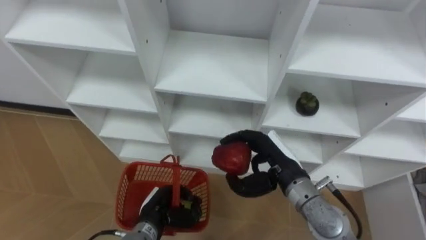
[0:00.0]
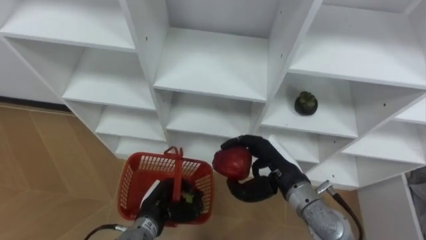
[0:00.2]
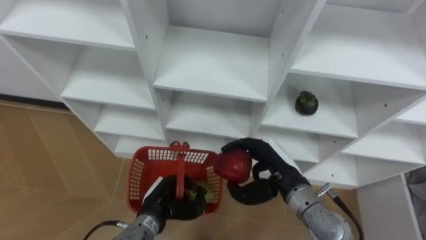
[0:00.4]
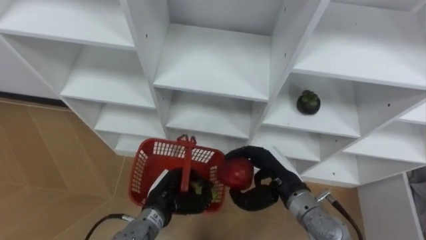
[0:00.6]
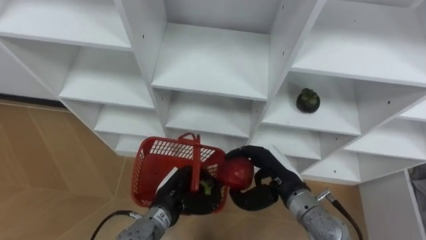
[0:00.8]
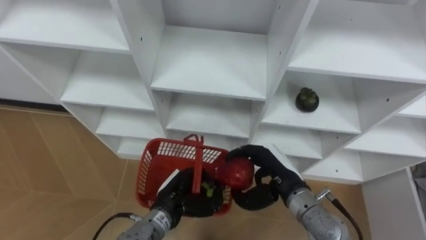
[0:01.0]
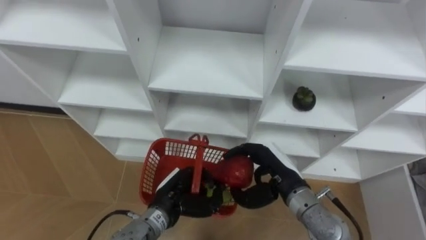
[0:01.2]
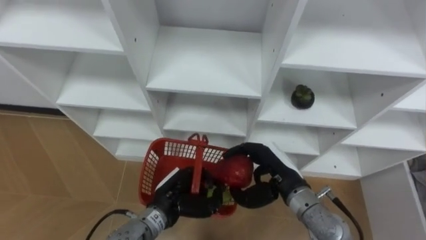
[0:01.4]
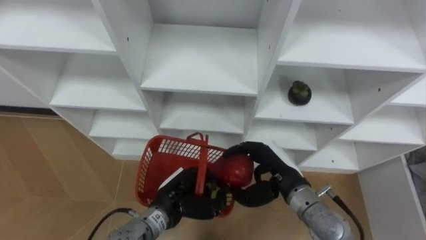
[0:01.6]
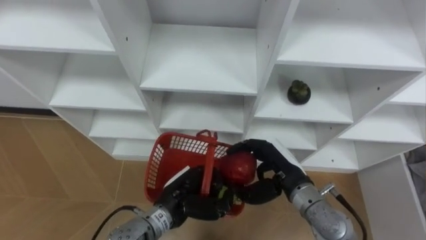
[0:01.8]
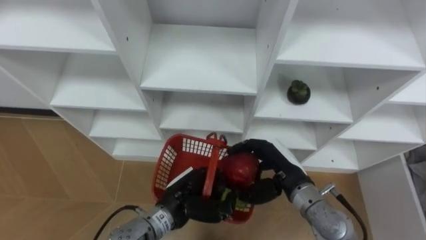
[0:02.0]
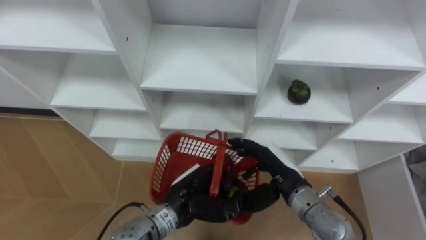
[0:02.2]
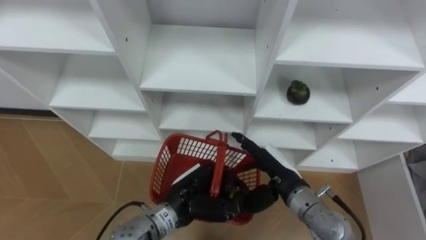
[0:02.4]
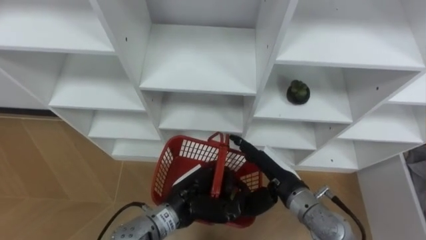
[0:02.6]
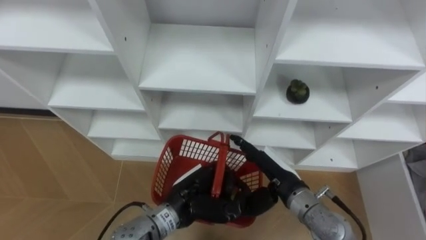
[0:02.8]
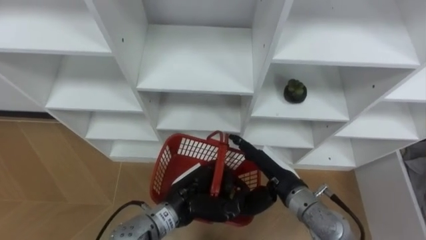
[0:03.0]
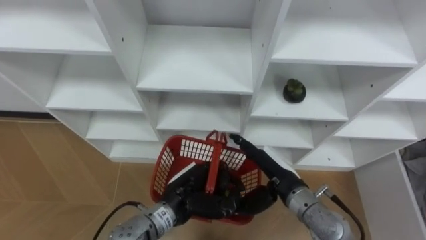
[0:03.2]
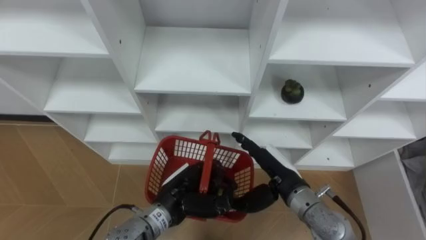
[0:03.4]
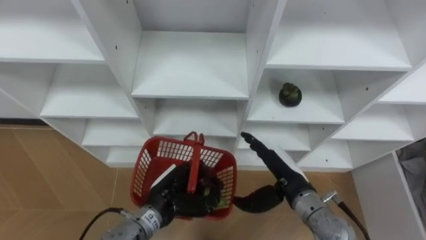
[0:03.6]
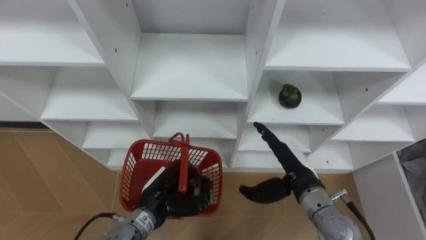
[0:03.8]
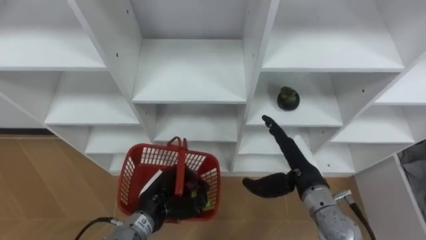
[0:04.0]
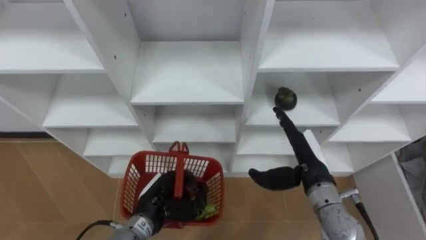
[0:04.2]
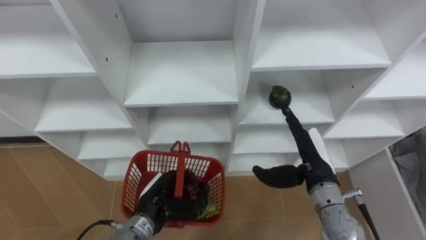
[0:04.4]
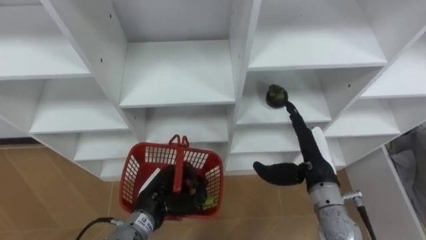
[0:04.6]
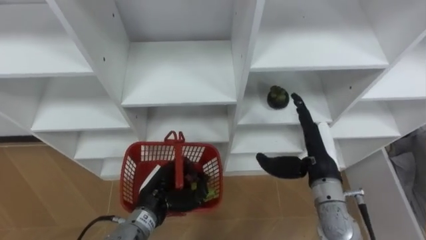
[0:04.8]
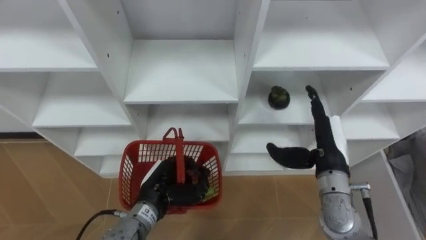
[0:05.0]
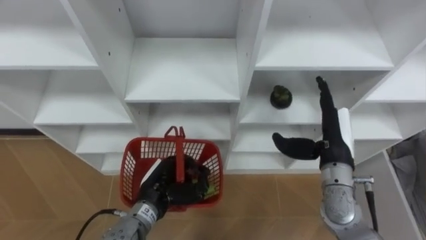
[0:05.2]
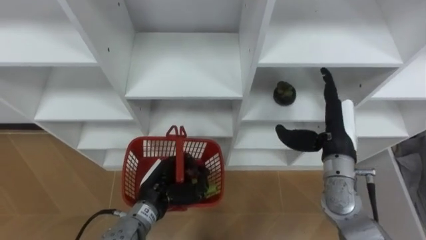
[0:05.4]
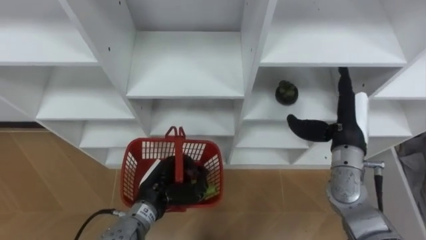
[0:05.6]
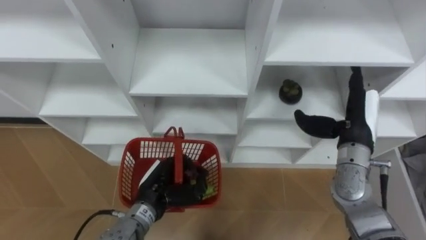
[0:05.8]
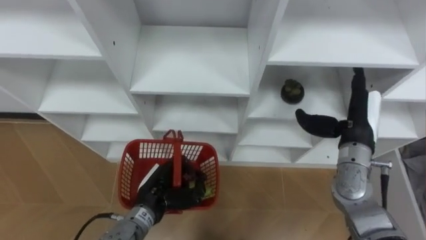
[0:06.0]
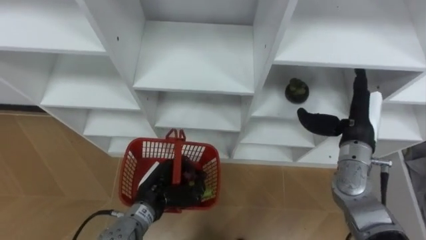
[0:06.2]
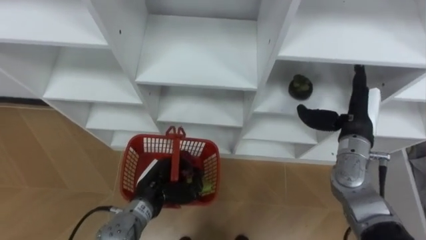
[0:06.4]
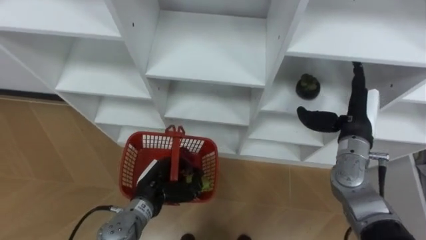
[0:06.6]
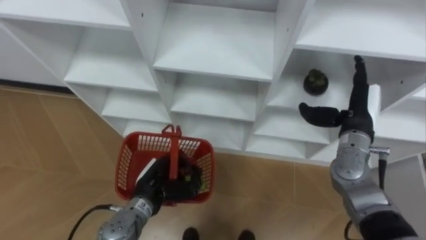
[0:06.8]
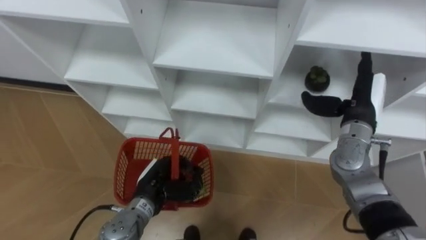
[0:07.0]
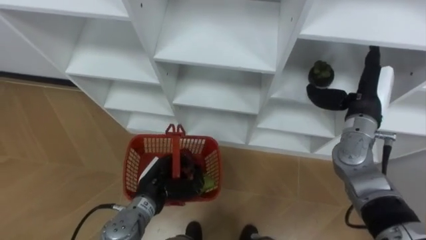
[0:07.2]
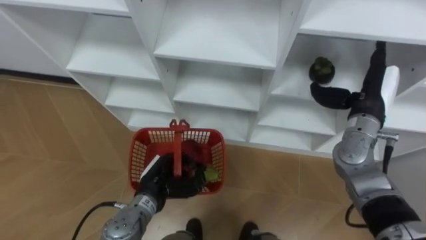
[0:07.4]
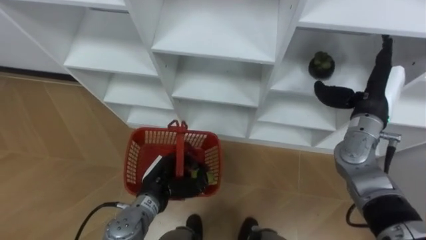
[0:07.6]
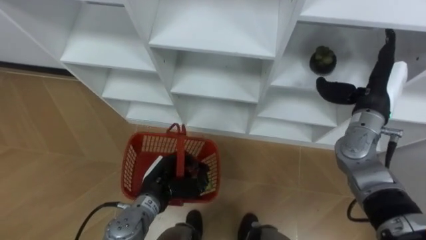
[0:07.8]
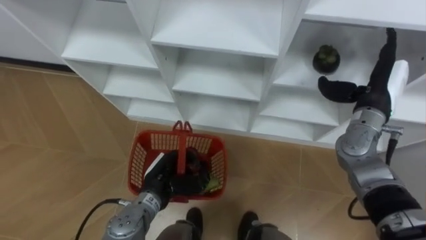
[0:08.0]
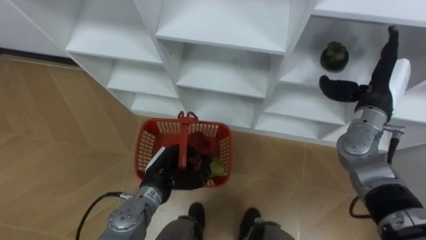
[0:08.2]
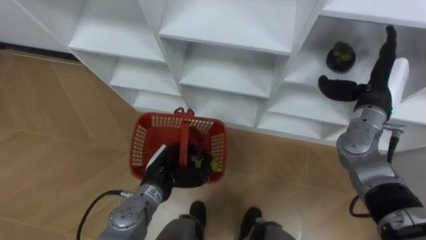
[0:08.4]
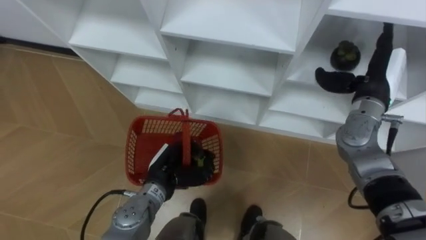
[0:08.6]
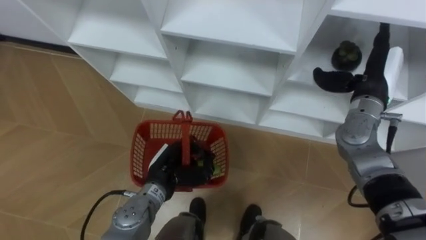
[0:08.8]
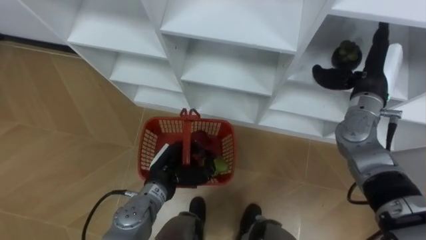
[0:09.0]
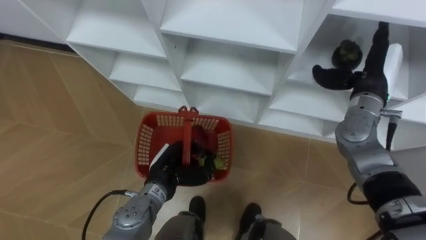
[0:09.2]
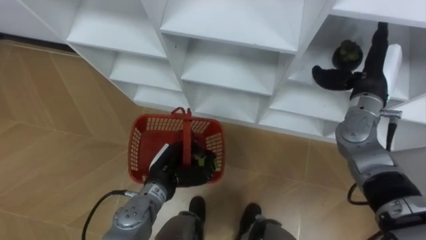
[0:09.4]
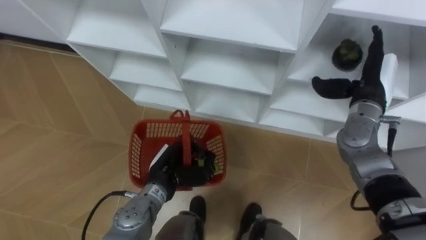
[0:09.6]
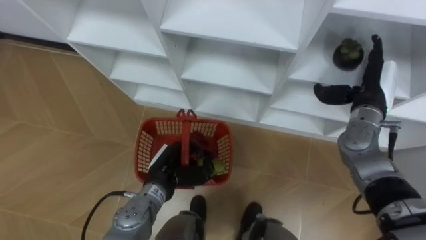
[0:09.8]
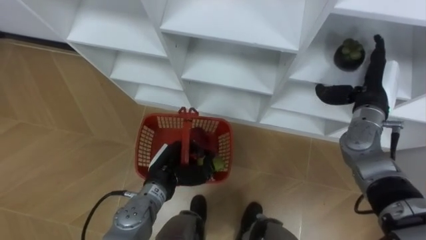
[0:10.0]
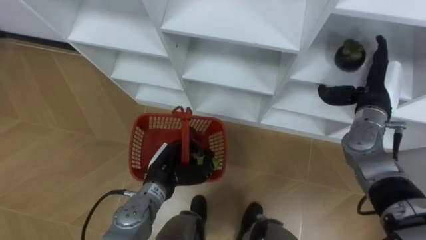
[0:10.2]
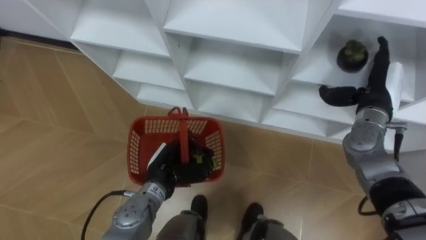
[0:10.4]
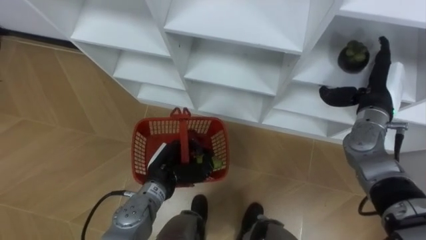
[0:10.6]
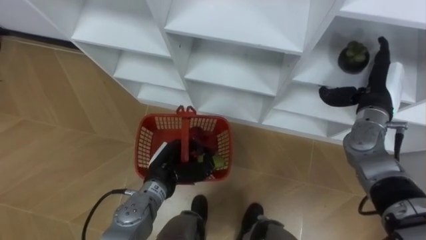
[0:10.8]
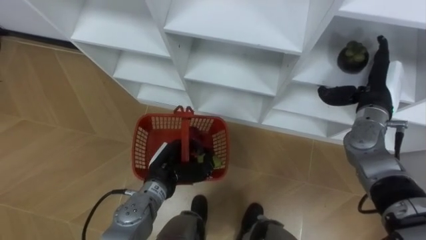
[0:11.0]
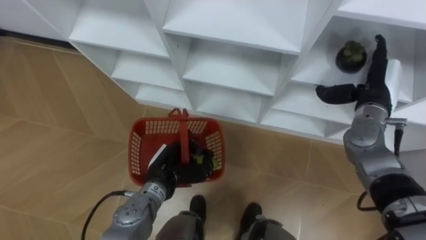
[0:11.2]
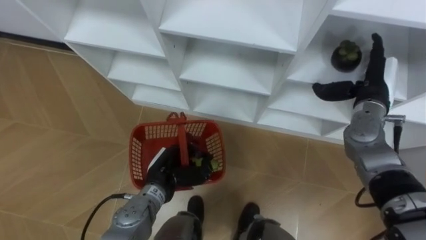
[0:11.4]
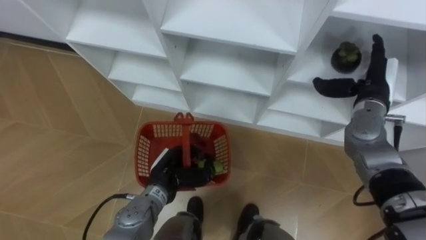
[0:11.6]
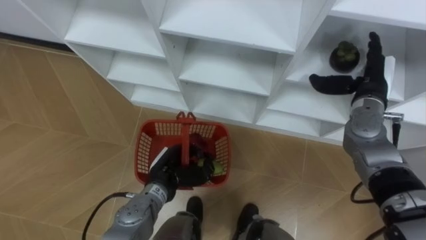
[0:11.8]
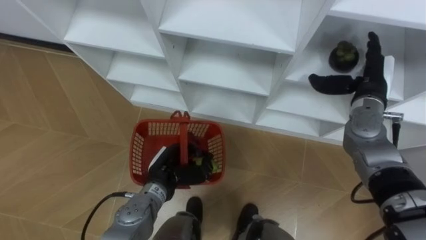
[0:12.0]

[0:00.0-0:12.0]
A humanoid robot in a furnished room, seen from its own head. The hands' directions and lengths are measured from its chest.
Task of the whole recording: Hold the basket and collect the fruits from 3 different cells of the closet into it.
0:00.0 to 0:01.6: The left hand moves upward, about 5 cm.
0:01.6 to 0:03.0: The right hand opens.
0:03.0 to 0:04.4: The right hand shifts about 5 cm to the right; the left hand travels to the left by approximately 5 cm.
0:04.4 to 0:06.0: The right hand heads to the right and forward, covering about 10 cm.
0:06.0 to 0:07.6: The right hand ends up about 5 cm from where it was.
0:09.0 to 0:12.0: The hands move only a little.

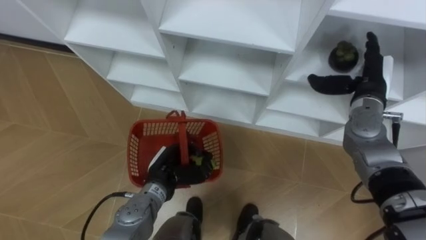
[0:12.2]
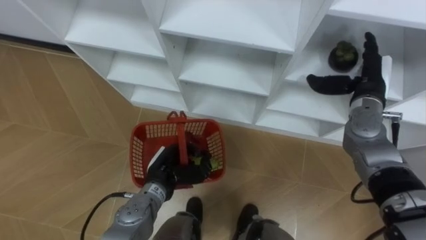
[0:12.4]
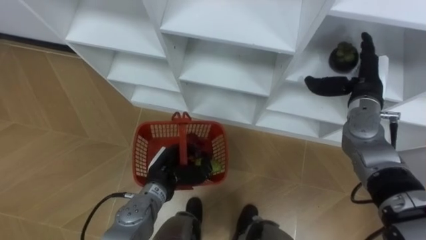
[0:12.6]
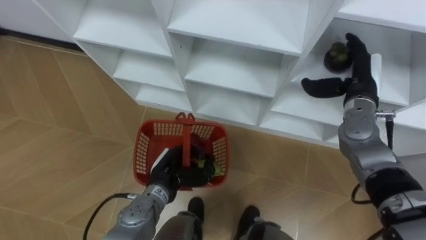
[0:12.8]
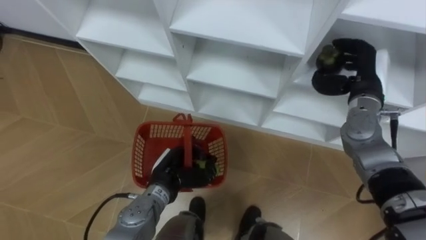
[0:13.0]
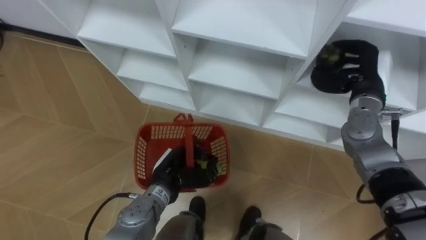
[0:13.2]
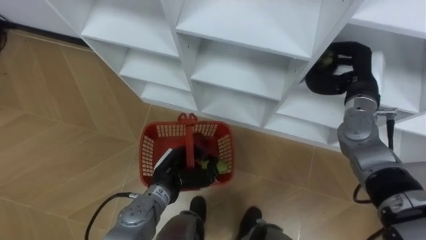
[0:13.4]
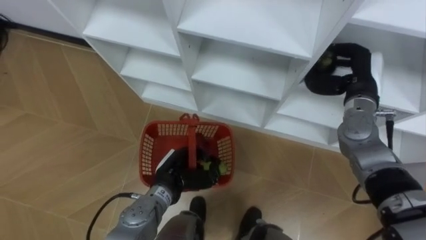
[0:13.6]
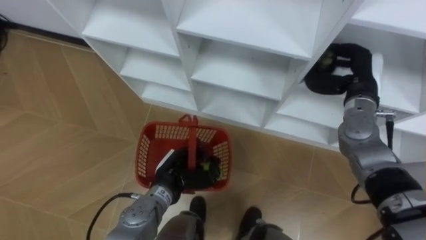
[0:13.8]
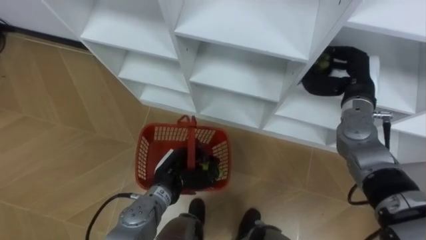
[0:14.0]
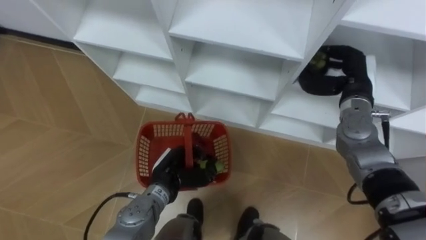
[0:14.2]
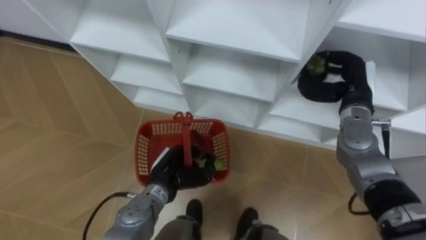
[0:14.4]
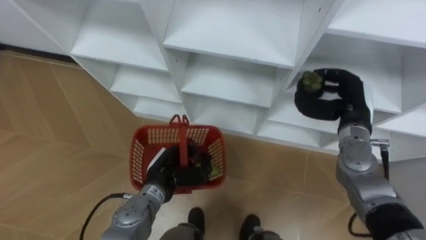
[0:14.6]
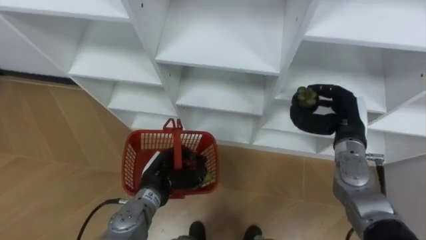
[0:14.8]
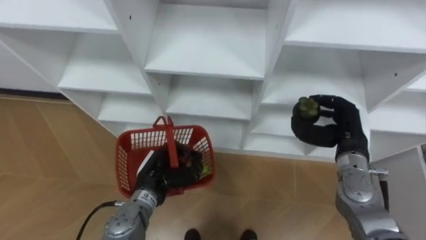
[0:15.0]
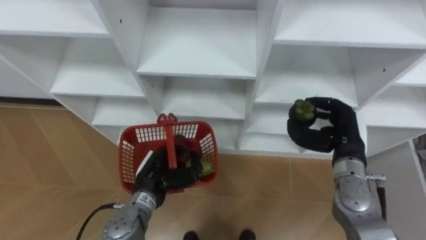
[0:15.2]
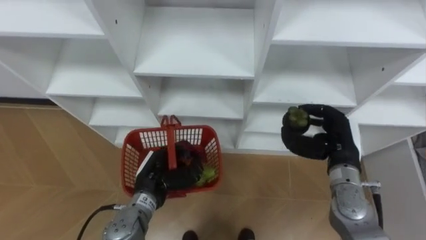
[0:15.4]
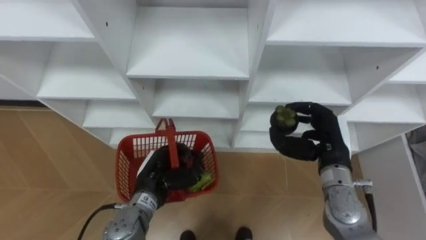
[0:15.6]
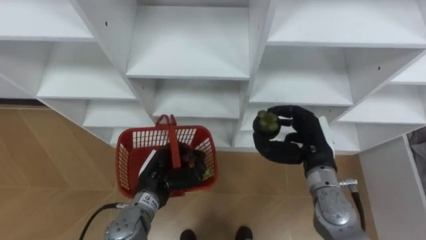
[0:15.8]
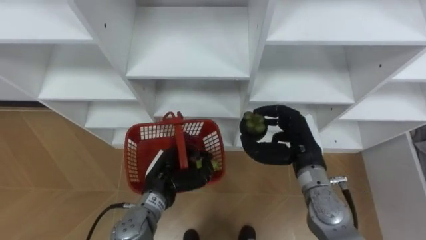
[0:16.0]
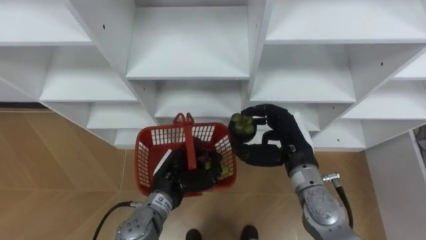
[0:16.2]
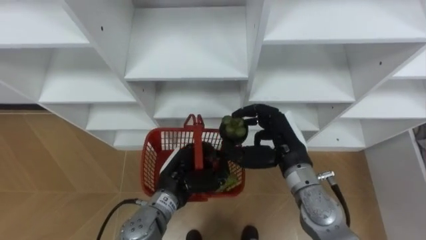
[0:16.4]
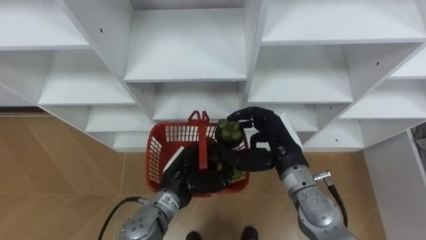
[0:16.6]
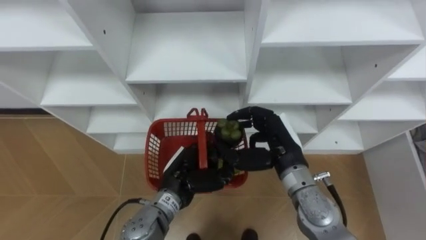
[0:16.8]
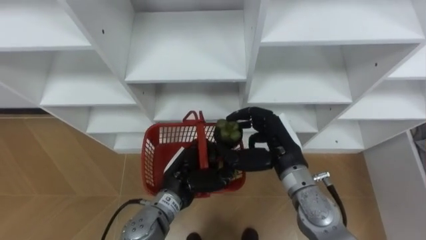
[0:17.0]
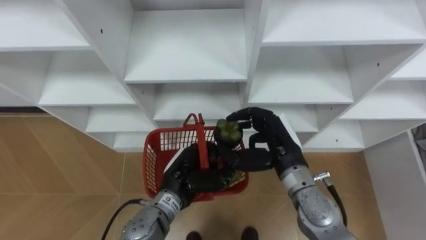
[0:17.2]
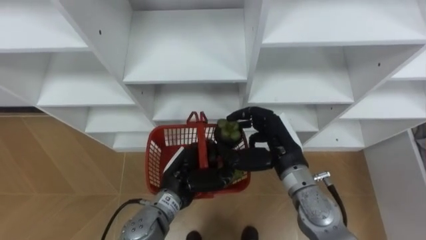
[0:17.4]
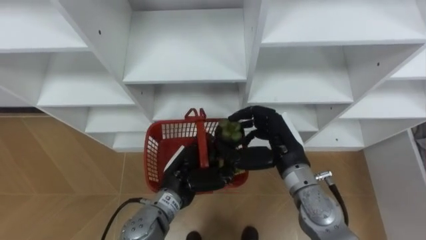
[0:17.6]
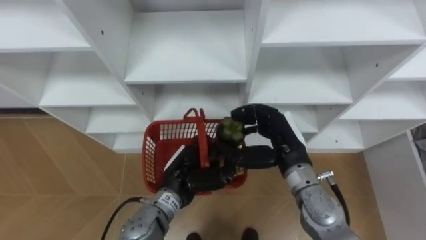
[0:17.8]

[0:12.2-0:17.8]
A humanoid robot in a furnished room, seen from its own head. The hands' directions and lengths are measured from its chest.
Task of the whole recording: Hold the basket and collect the fruits from 3 different cells of the closet into it.
0:12.2 to 0:13.6: The right hand closes its fingers.
0:13.6 to 0:15.0: The right hand moves backward and downward, roughly 10 cm.
0:15.0 to 0:16.4: The right hand moves to the left, about 15 cm. The left hand shifts by about 5 cm.
0:16.4 to 0:17.8: The hands move only a little.
